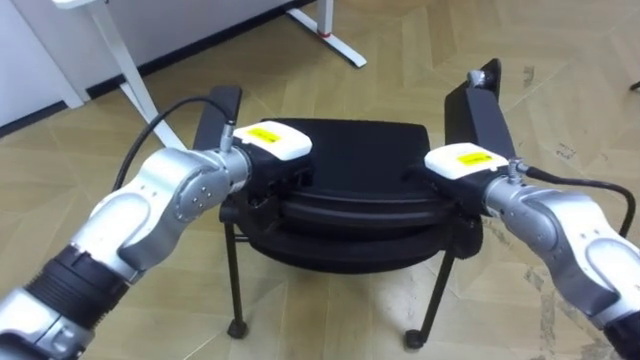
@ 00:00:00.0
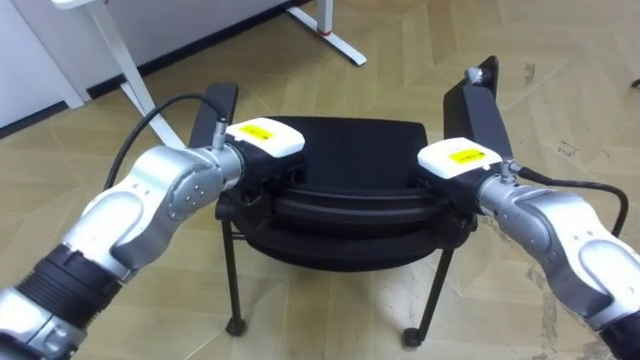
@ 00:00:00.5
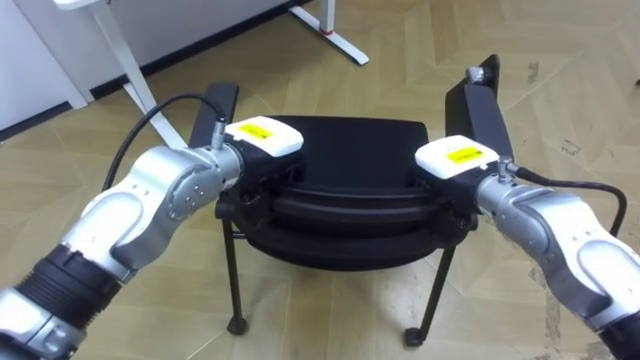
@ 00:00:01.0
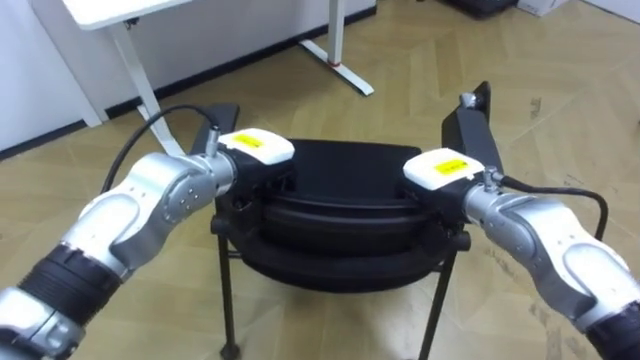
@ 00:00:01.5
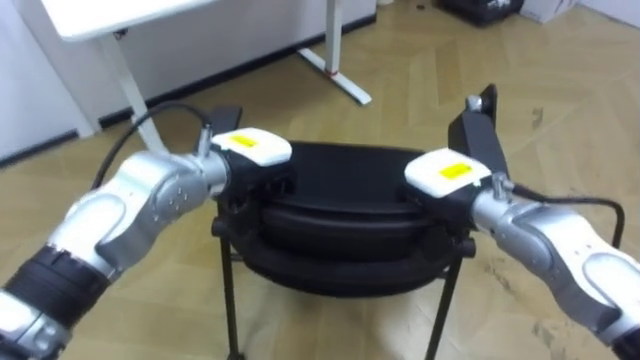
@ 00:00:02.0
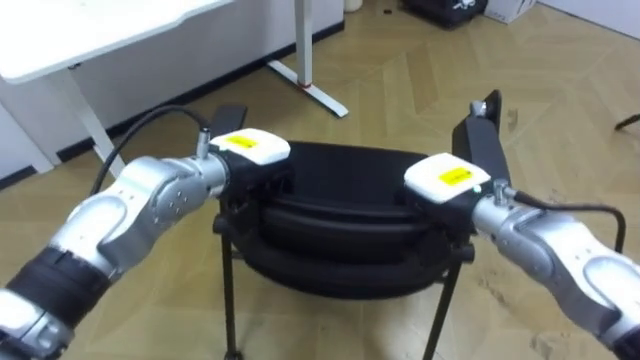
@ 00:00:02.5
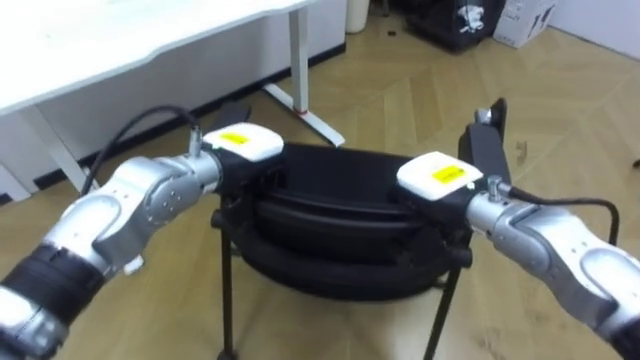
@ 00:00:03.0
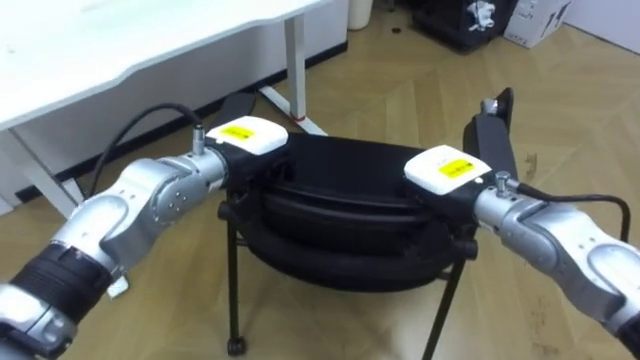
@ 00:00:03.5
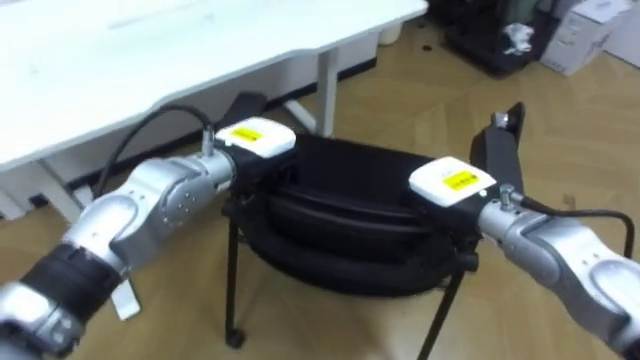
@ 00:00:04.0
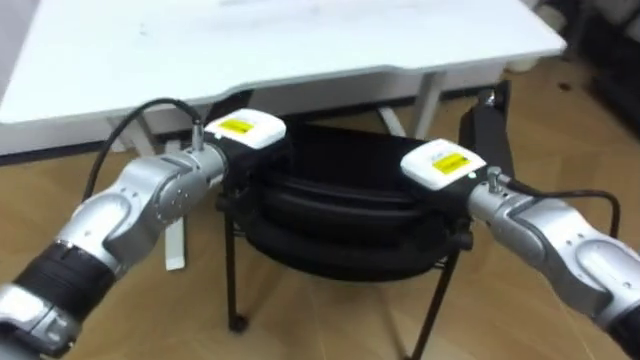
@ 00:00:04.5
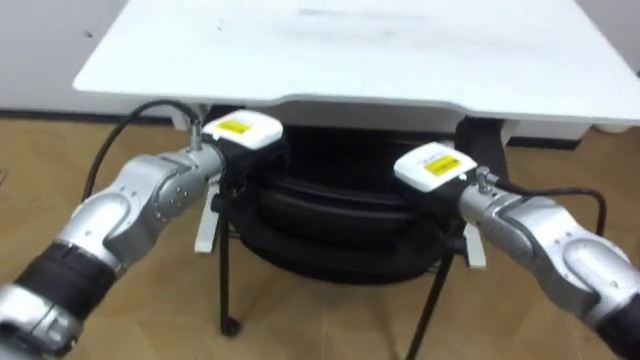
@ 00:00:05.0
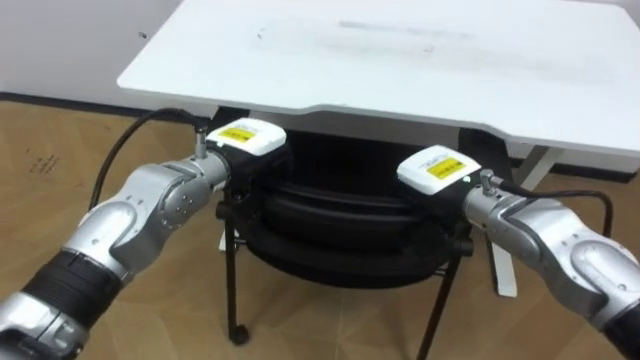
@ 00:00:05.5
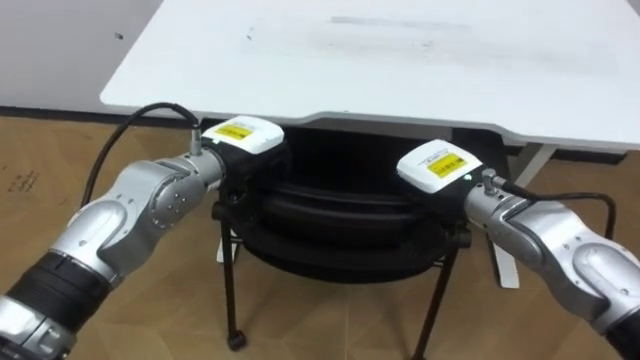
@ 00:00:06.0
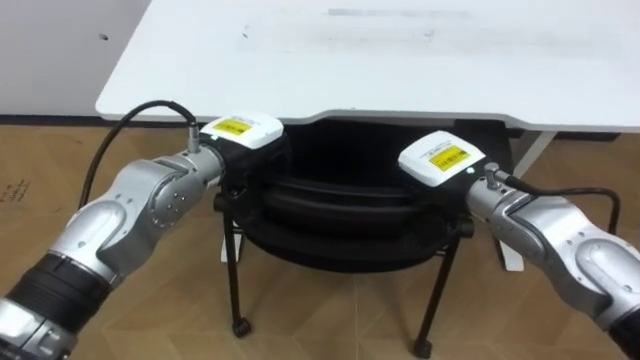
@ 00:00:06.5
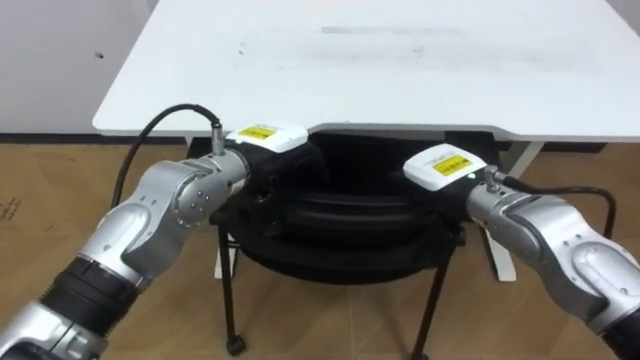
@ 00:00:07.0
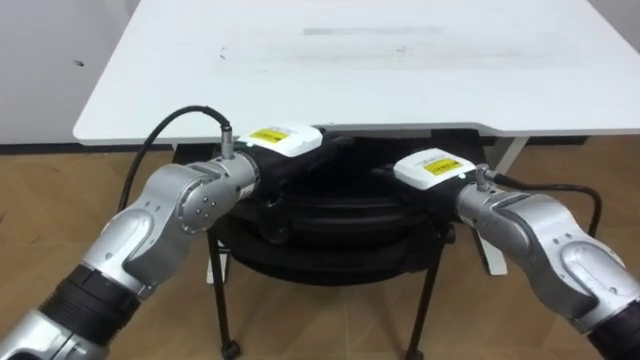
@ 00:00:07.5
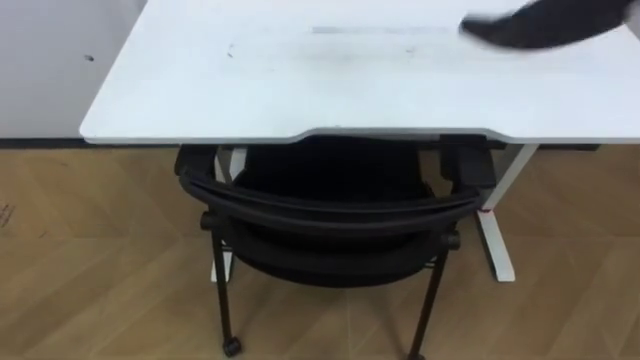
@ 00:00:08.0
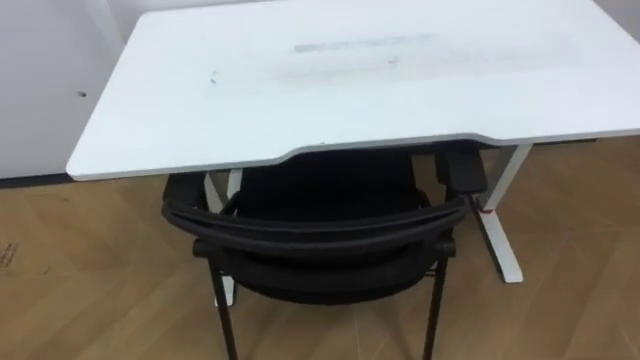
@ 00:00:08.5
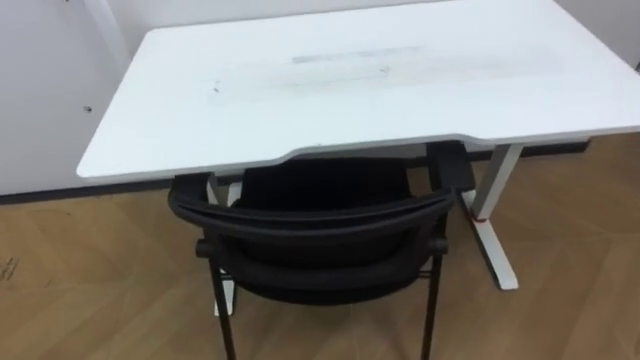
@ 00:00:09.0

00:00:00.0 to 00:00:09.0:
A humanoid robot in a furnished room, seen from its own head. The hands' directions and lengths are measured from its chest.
Task of the whole recording: Push the chair under the table.
00:00:00.0 to 00:00:02.0: The right hand closes.
00:00:02.0 to 00:00:04.5: The robot rotates some 30 degrees to its left.
00:00:04.5 to 00:00:07.0: The left hand opens its fingers, while the right hand opens up.

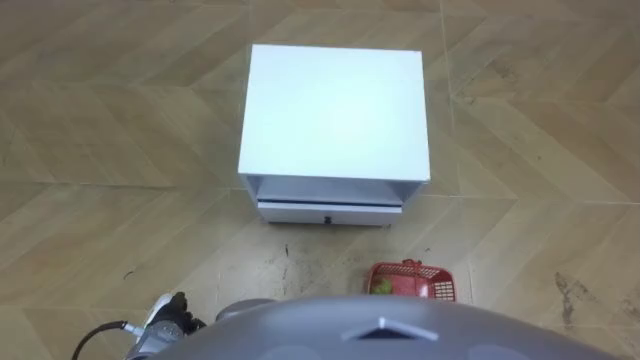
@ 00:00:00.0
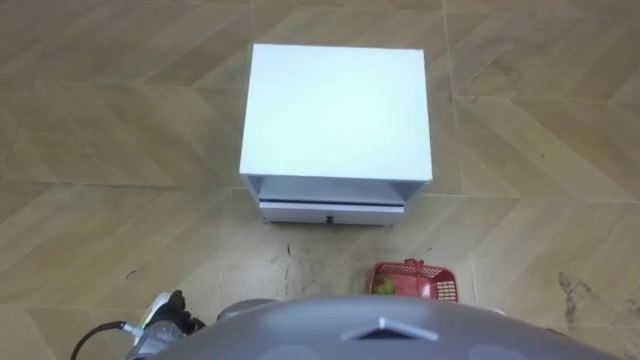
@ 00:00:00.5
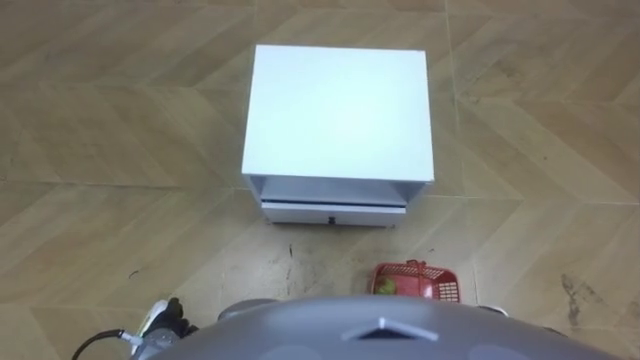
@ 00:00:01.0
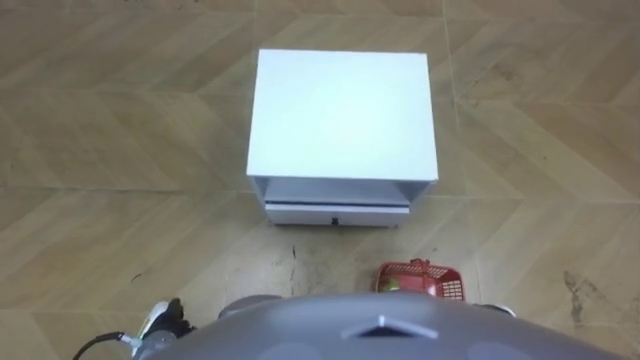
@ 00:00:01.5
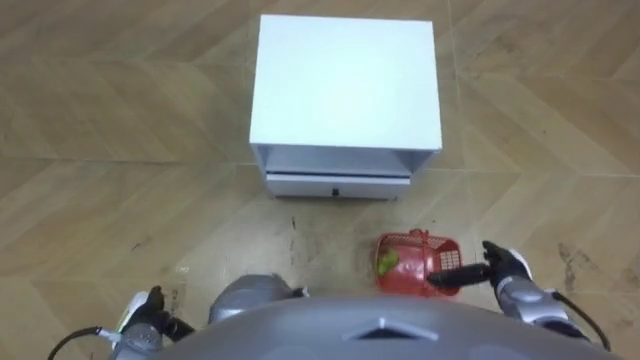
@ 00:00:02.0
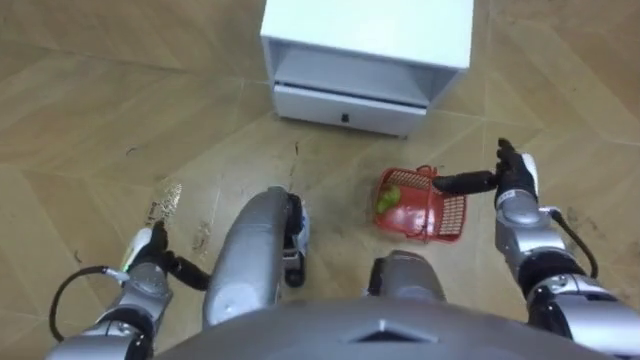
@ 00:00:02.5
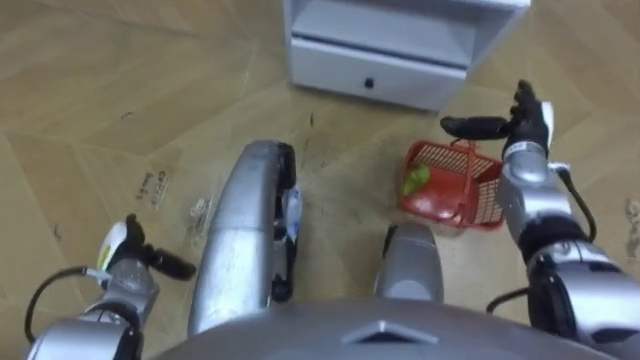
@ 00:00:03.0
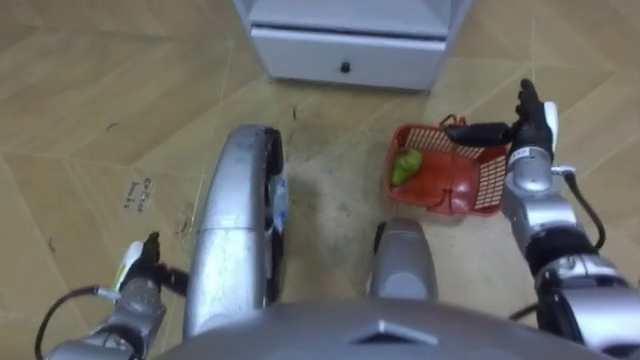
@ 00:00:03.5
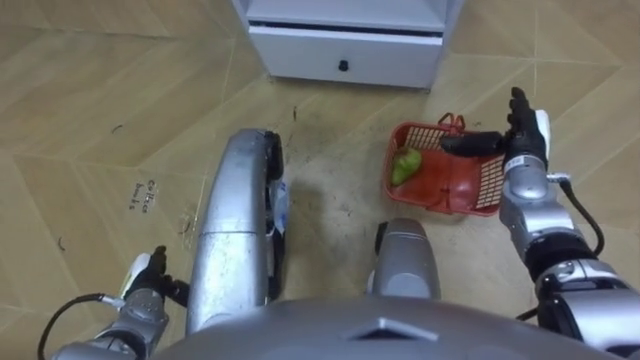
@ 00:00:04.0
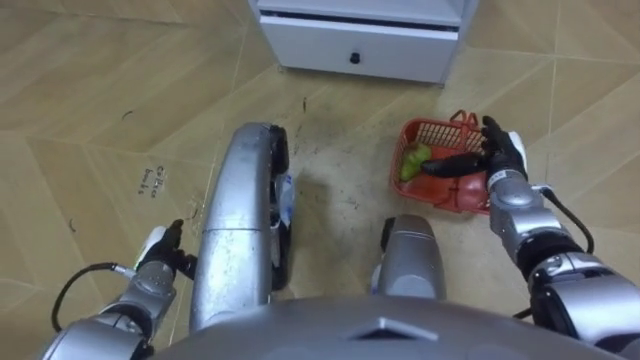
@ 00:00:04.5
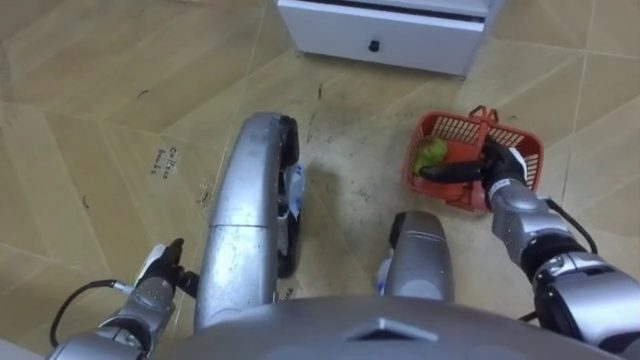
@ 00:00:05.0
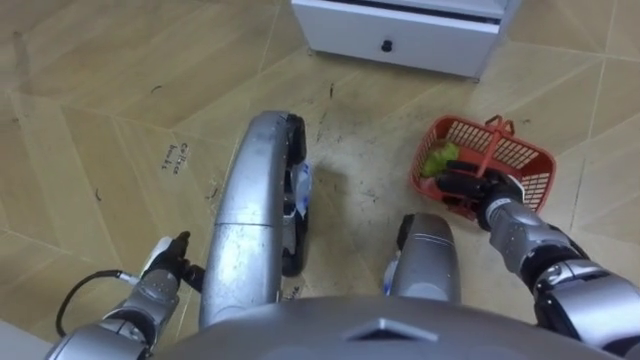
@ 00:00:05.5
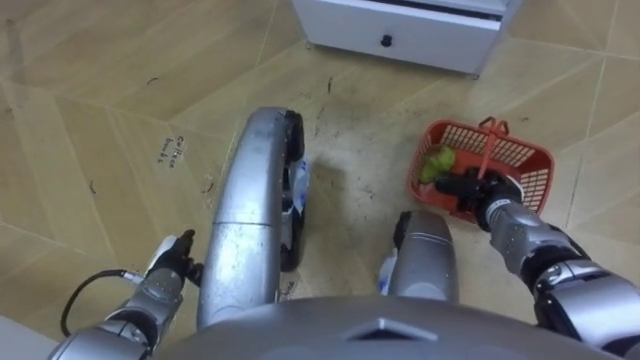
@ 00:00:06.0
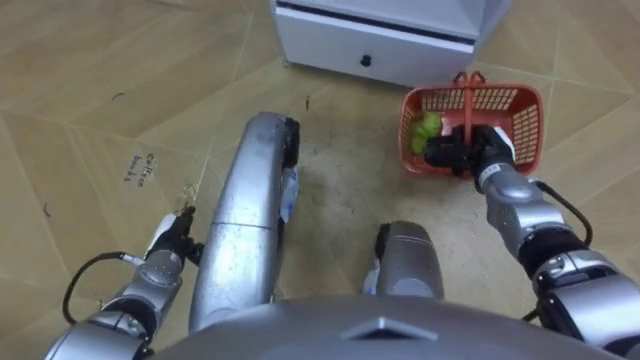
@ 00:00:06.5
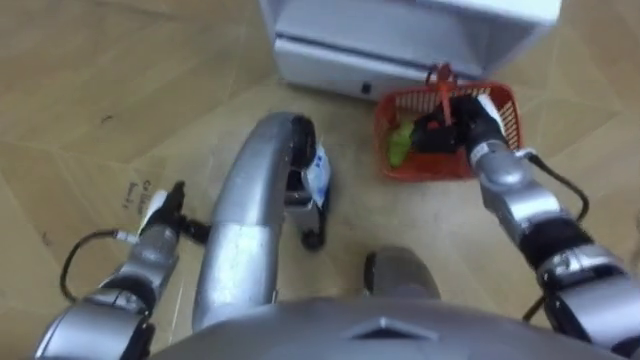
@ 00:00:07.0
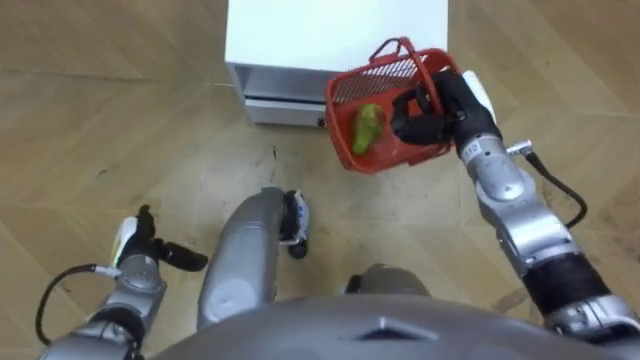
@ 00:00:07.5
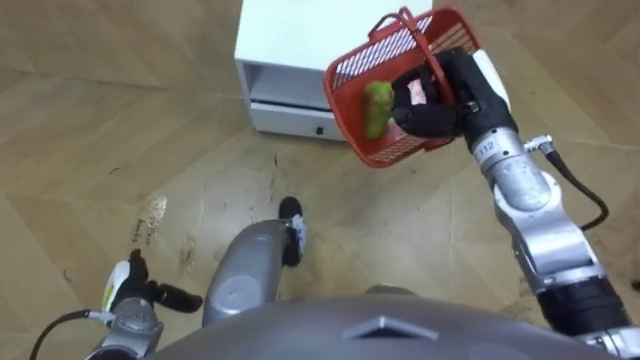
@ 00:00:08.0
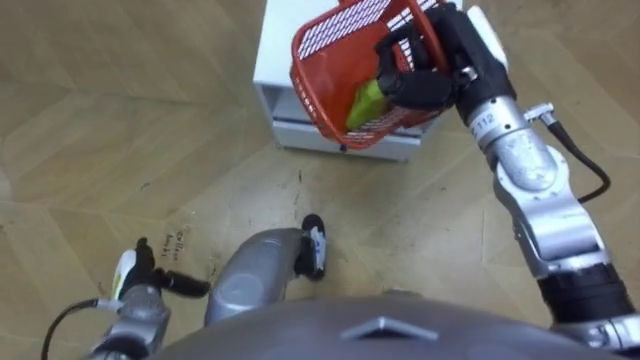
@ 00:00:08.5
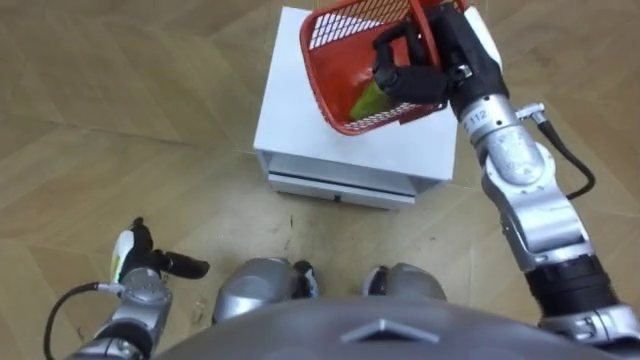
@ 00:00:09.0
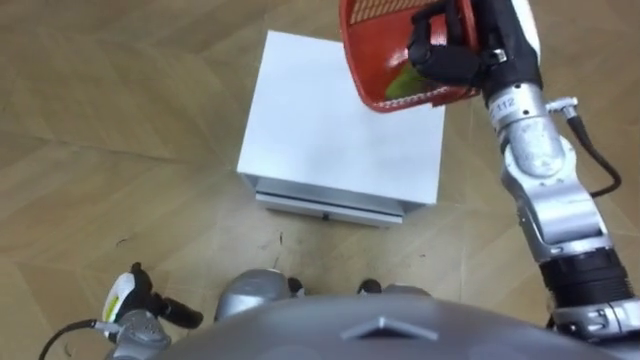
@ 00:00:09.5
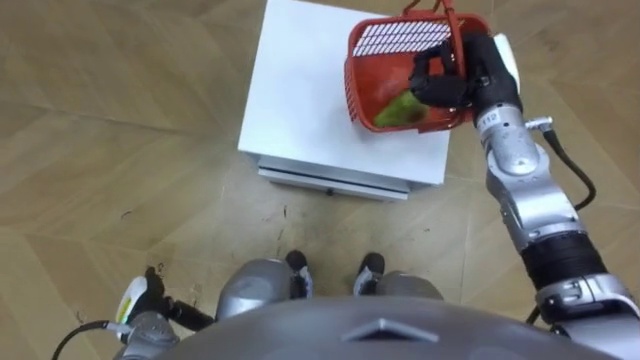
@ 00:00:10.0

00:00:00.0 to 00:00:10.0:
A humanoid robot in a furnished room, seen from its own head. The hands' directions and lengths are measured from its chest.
Task of the whole recording: Pick up the fruit basket from the floor and place it on the cabinet.
00:00:02.0 to 00:00:04.0: The left hand travels forward by some 5 cm. Meanwhile the right hand heads forward and upward, covering approximately 20 cm.
00:00:04.0 to 00:00:06.0: The right hand travels downward and backward by some 10 cm, and closes up.
00:00:06.0 to 00:00:08.0: The robot rotates roughly 15 degrees to its right. The left hand travels forward and back again, some 5 cm each way. The right hand moves upward, to the left and forward, some 20 cm.

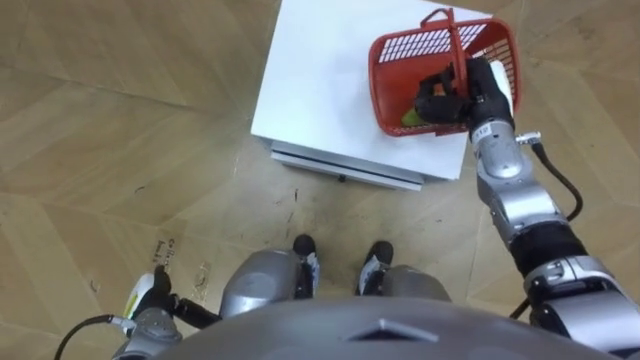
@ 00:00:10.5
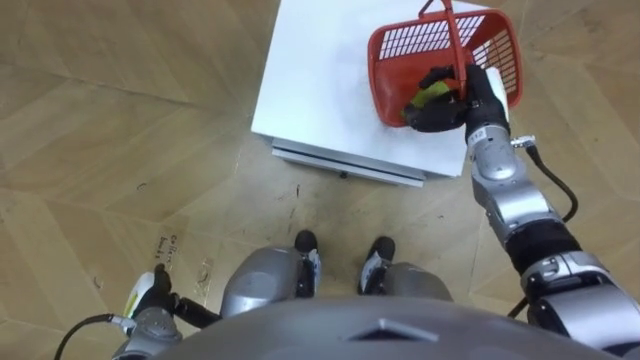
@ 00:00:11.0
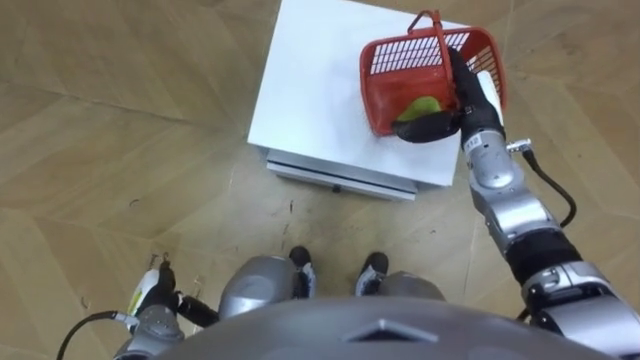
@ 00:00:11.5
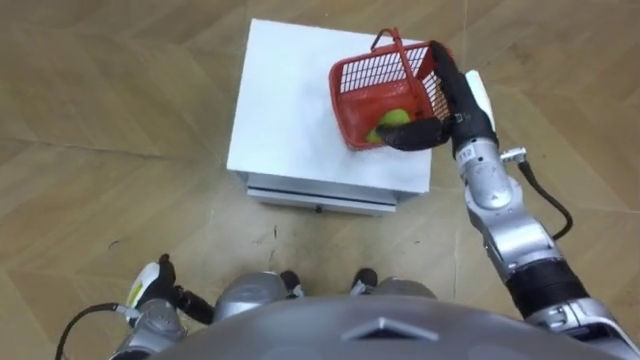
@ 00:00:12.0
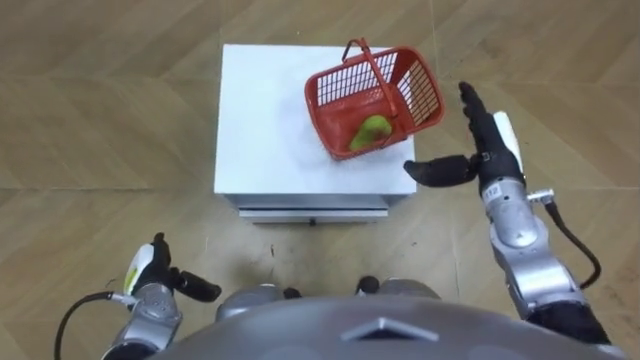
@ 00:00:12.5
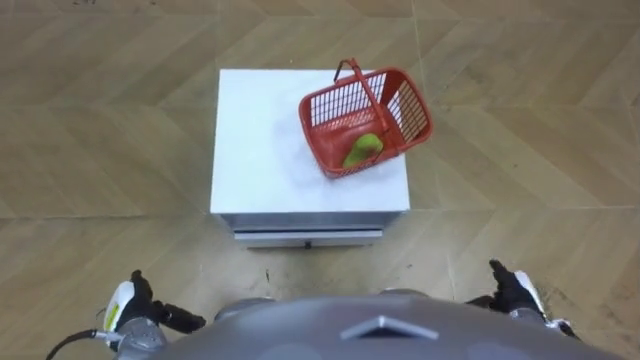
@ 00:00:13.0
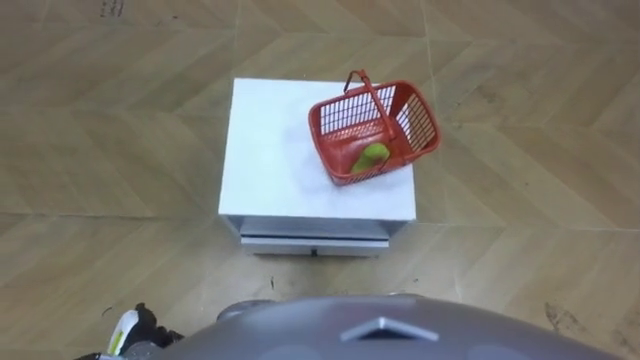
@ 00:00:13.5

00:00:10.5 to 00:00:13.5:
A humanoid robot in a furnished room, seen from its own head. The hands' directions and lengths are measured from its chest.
Task of the whole recording: Pick up the fruit basket from the floor and place it on the cabinet.
00:00:10.5 to 00:00:12.0: The right hand opens.
00:00:12.0 to 00:00:13.5: The right hand shifts roughly 35 cm backward and downward; the left hand shifts approximately 5 cm backward.
